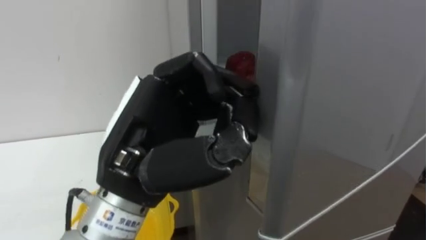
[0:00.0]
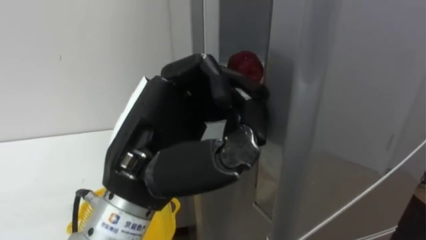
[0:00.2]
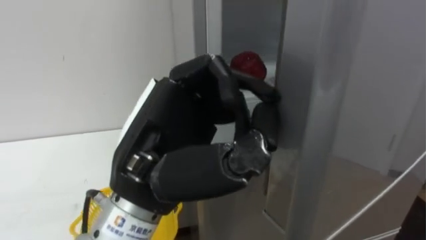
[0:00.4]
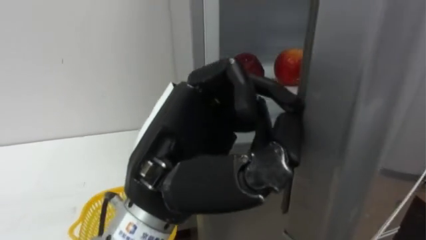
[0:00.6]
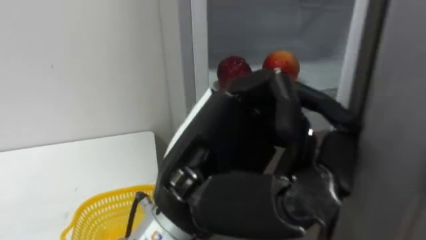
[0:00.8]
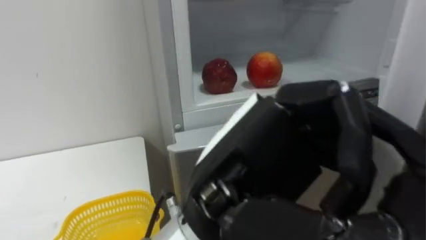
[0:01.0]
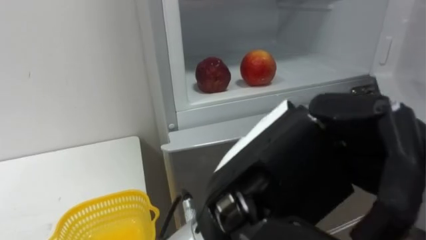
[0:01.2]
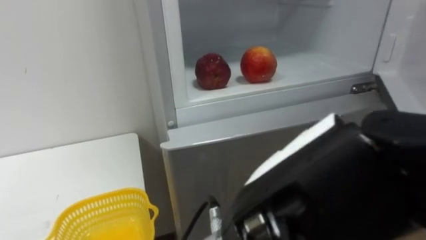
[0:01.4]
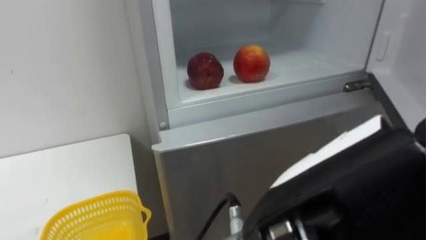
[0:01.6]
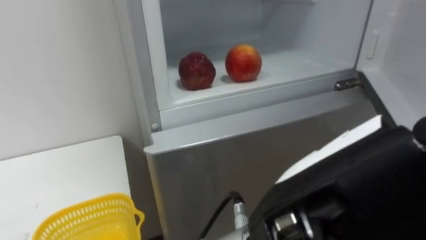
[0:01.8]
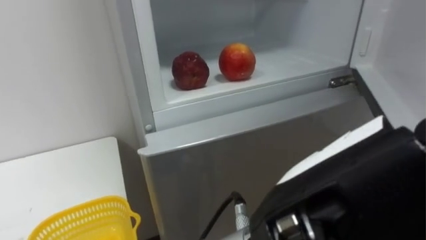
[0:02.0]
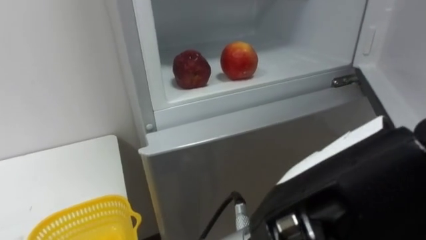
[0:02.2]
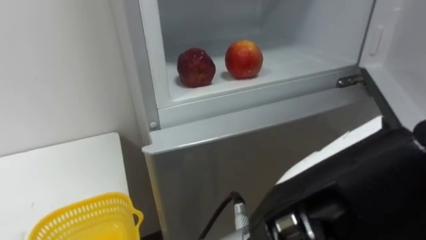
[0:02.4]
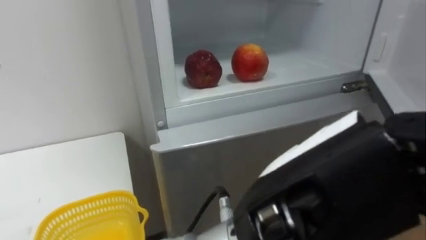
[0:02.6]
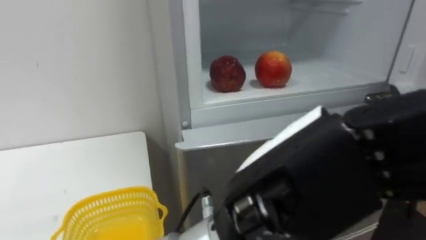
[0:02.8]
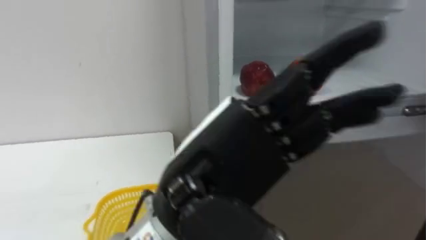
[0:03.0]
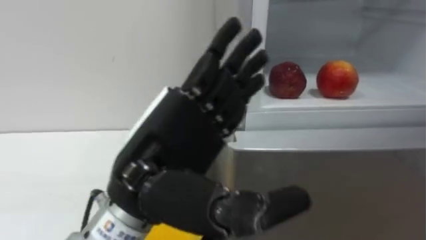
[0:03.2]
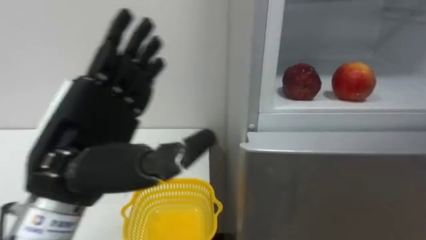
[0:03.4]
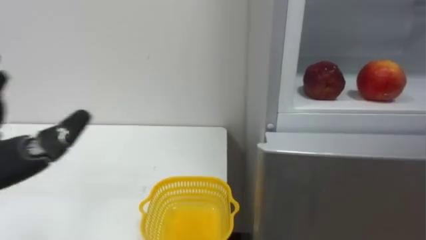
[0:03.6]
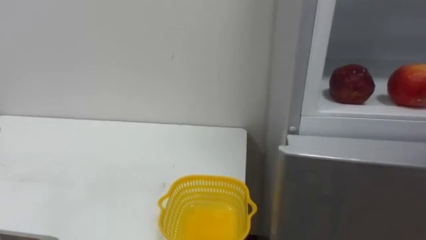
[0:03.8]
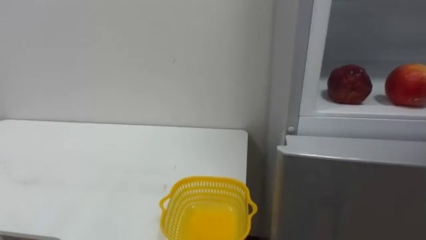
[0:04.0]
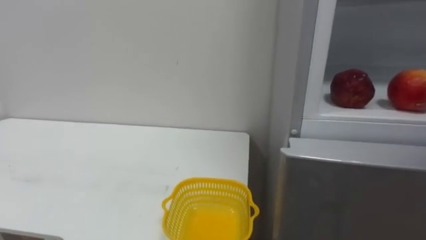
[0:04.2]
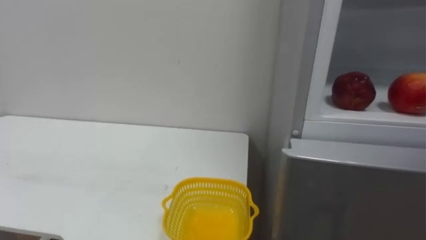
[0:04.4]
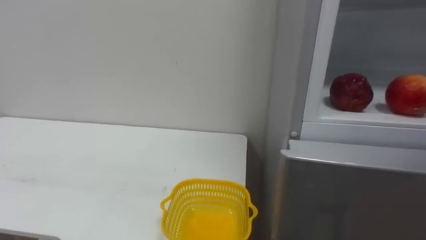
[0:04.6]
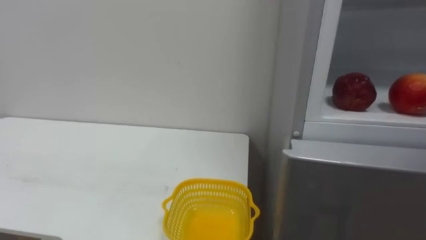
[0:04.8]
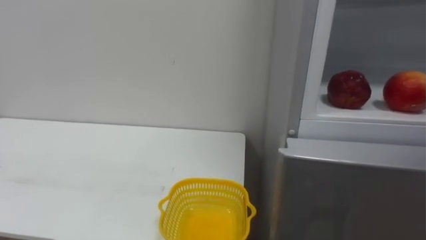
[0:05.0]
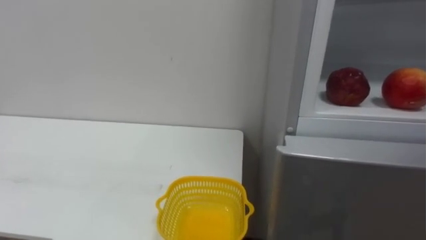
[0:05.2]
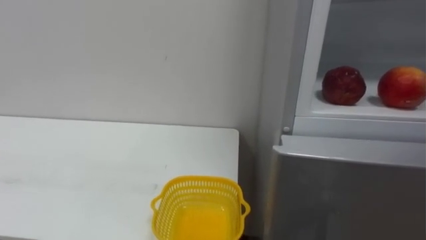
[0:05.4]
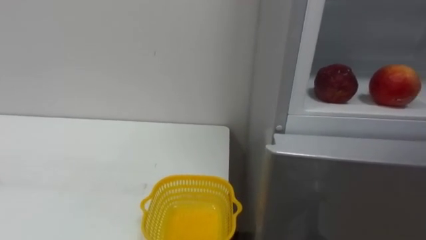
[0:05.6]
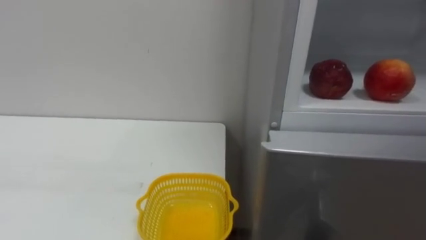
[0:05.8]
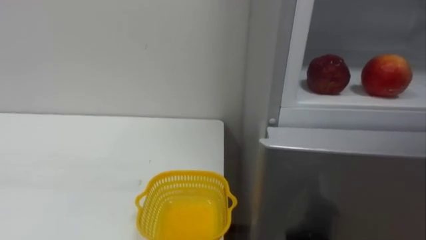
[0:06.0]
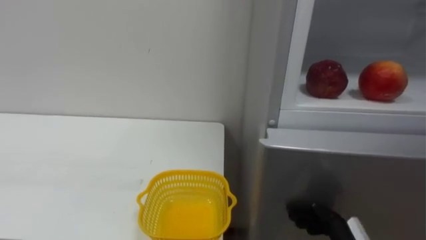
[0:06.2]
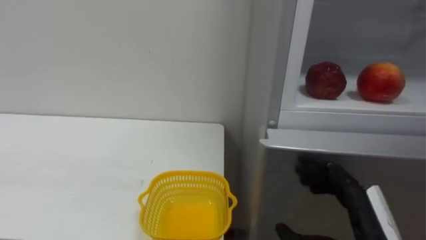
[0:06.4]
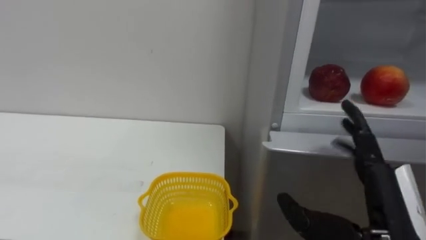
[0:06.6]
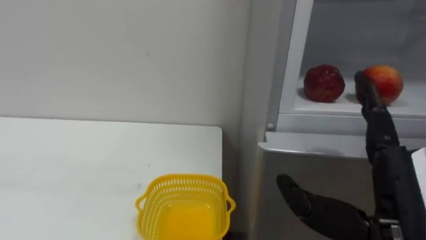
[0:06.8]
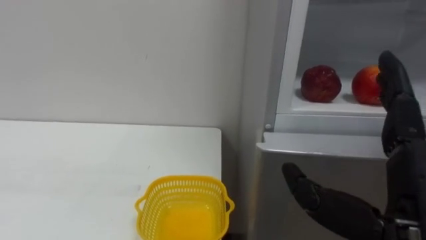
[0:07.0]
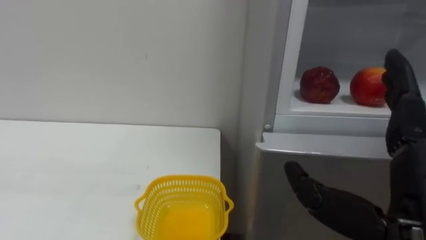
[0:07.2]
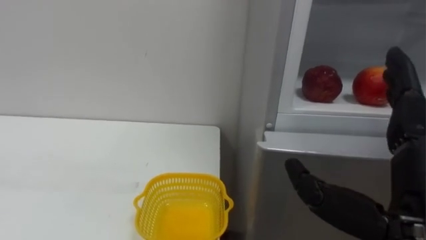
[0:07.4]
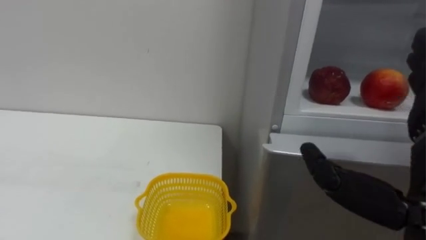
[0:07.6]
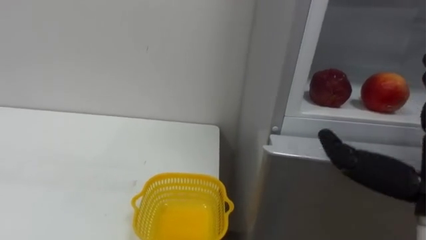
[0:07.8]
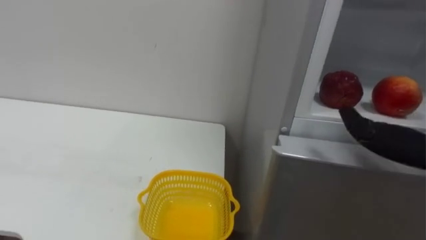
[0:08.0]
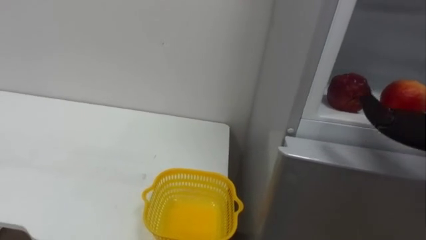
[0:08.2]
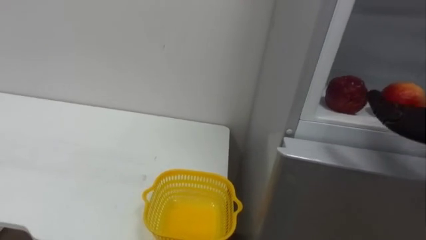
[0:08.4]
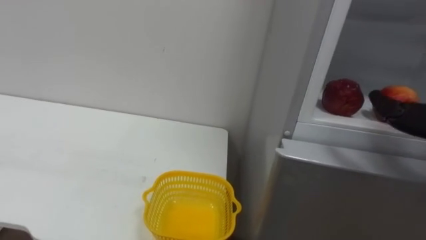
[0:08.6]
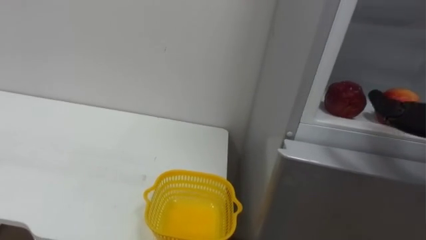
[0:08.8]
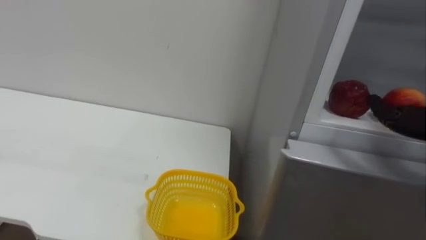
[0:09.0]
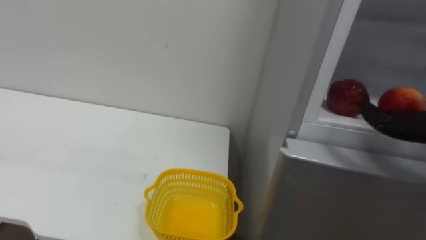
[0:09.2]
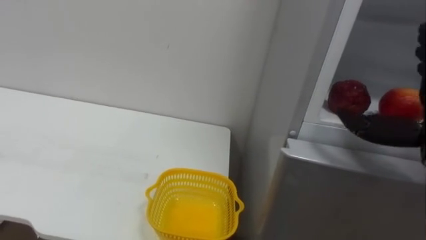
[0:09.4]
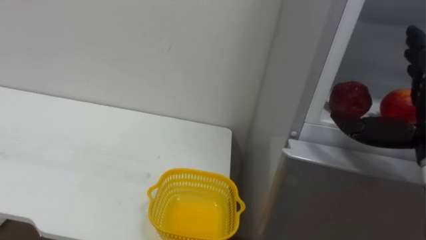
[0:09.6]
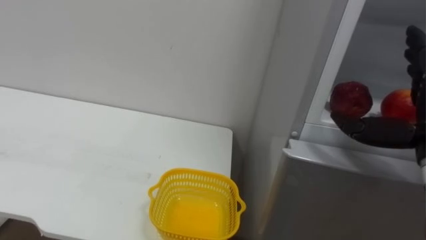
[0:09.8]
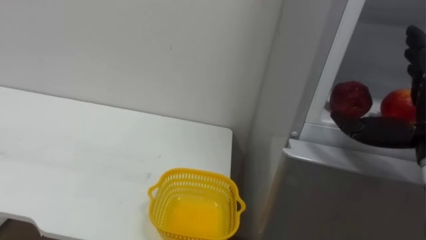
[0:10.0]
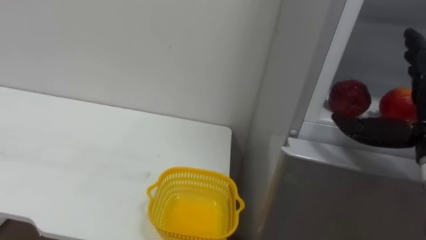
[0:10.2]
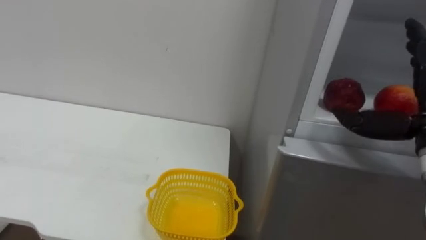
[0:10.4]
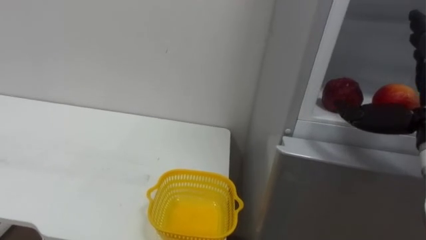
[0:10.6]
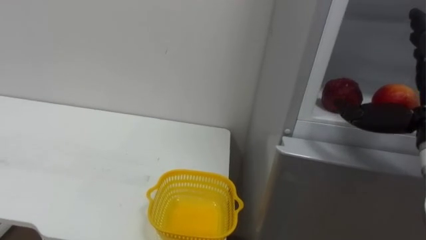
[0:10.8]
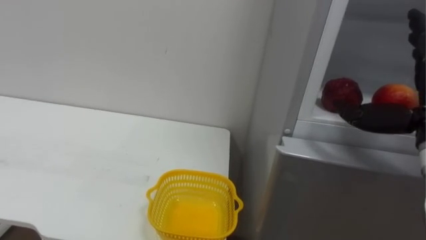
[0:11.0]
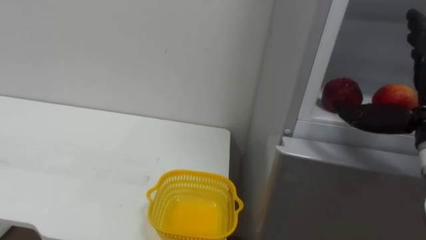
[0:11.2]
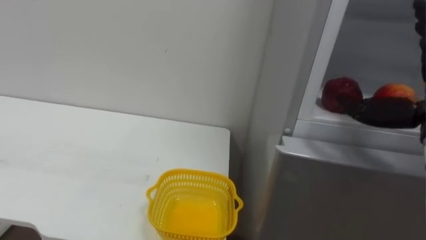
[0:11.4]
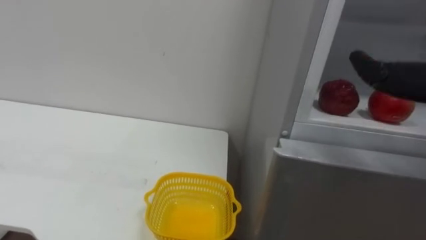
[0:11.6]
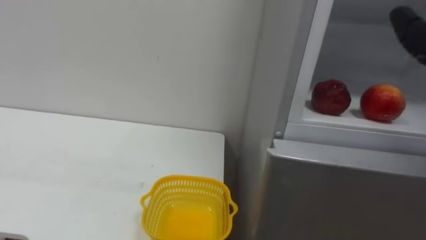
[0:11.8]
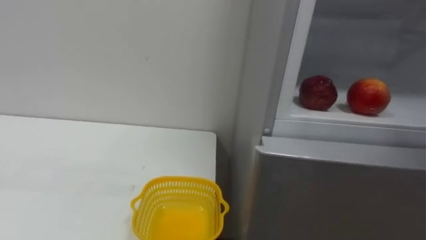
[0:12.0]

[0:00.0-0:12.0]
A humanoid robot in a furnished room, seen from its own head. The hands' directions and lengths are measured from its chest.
Task of the whole recording: Open the refrigerator door, take out the apple and the pomegranate, place them in the fruit basket on the left, and close the refrigerator door.
0:00.0 to 0:01.6: The left hand travels to the right and backward by approximately 15 cm.
0:01.6 to 0:03.0: The left hand moves to the left and forward, about 10 cm, and opens.

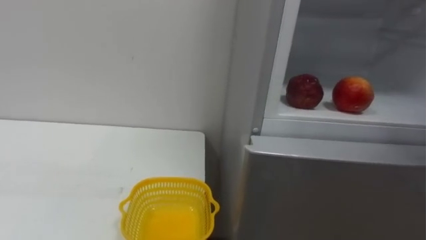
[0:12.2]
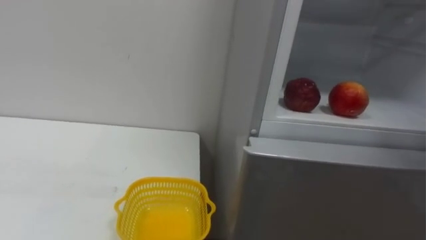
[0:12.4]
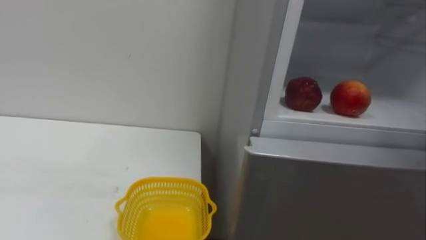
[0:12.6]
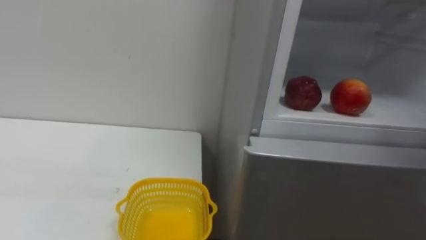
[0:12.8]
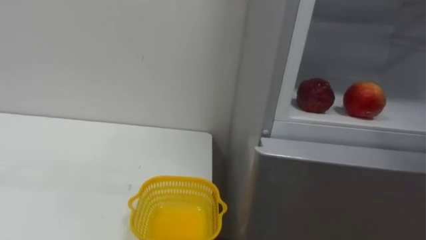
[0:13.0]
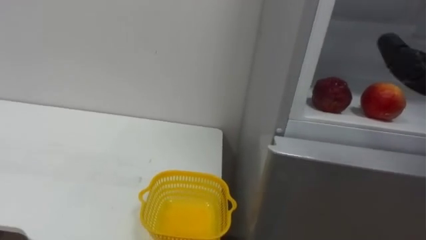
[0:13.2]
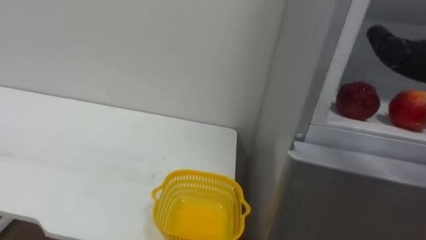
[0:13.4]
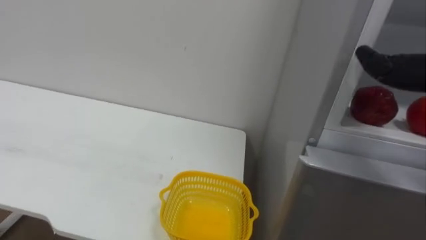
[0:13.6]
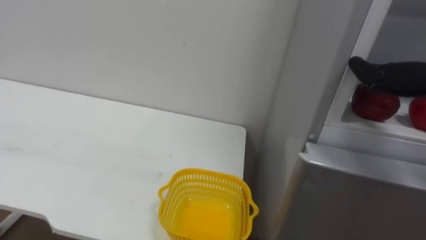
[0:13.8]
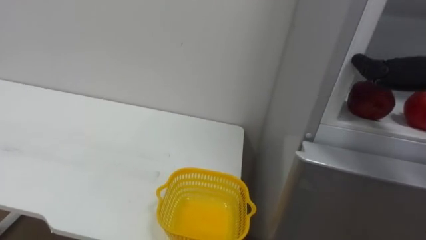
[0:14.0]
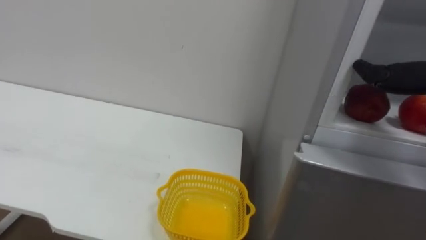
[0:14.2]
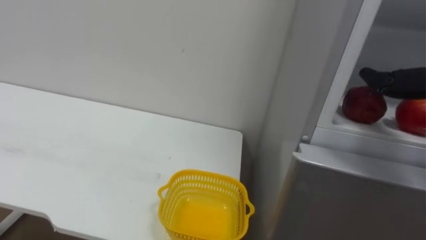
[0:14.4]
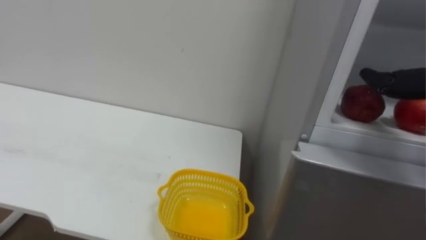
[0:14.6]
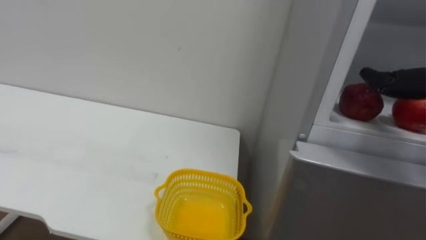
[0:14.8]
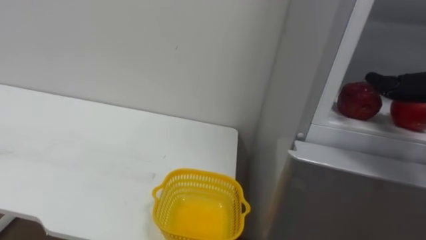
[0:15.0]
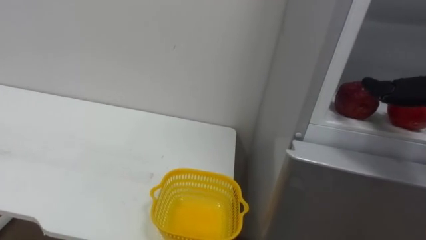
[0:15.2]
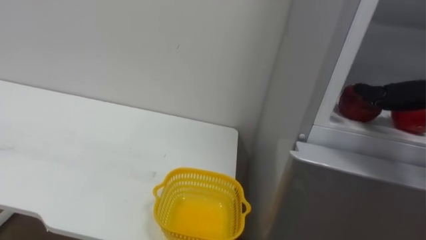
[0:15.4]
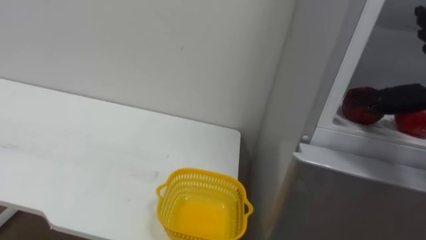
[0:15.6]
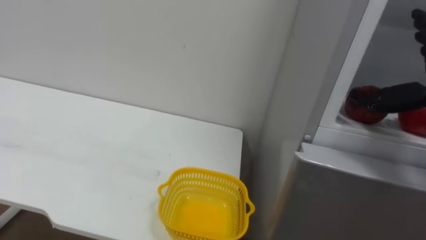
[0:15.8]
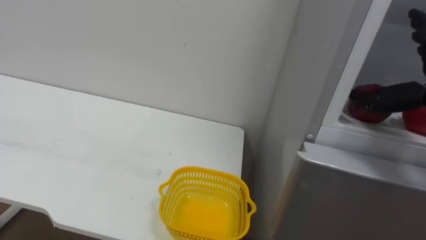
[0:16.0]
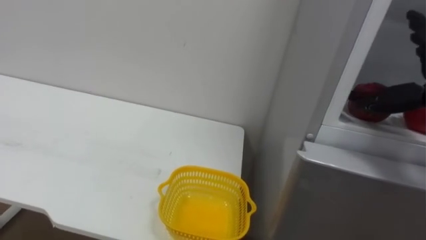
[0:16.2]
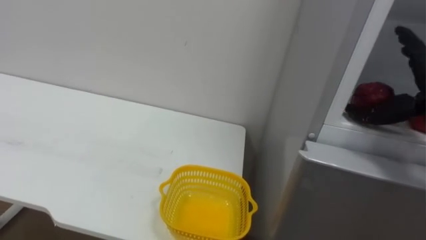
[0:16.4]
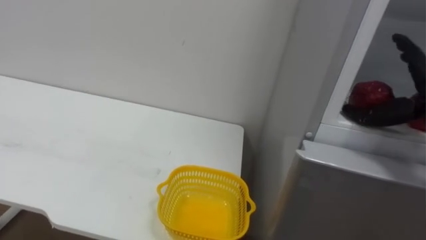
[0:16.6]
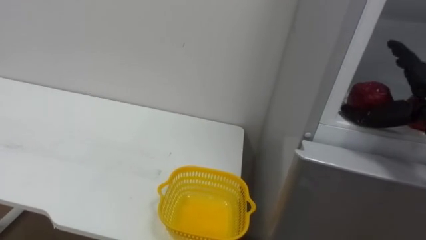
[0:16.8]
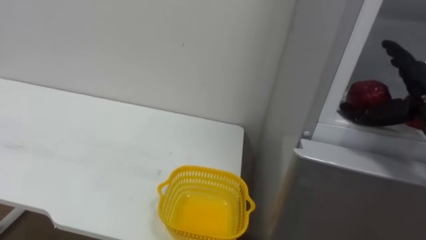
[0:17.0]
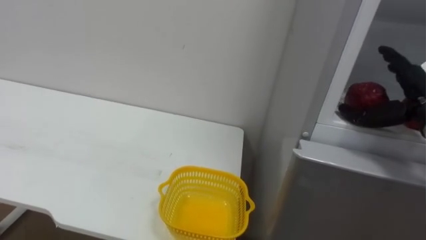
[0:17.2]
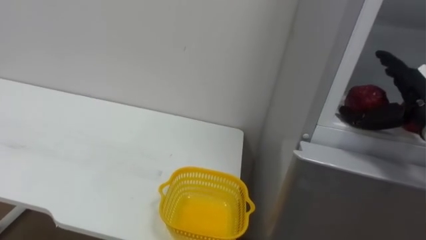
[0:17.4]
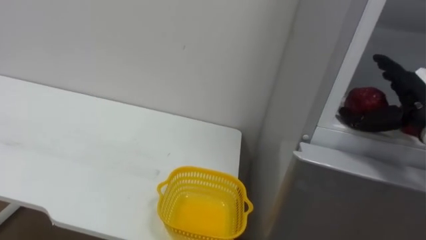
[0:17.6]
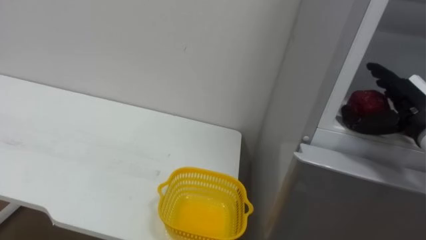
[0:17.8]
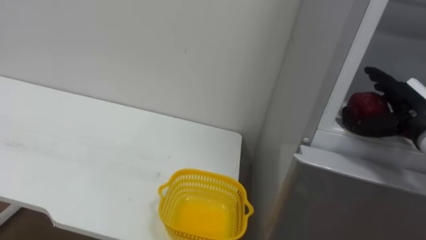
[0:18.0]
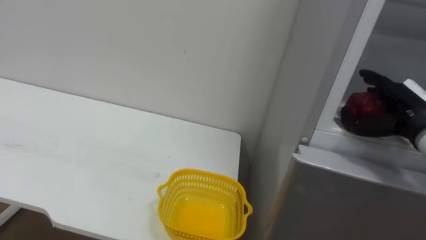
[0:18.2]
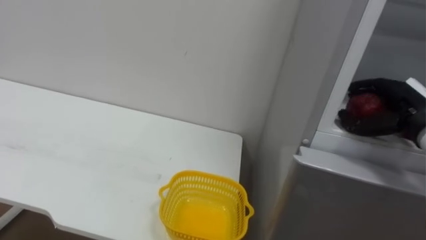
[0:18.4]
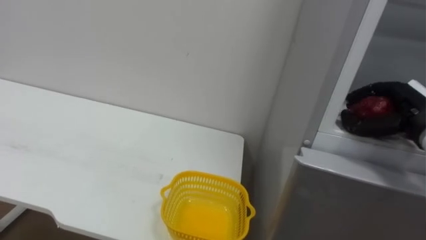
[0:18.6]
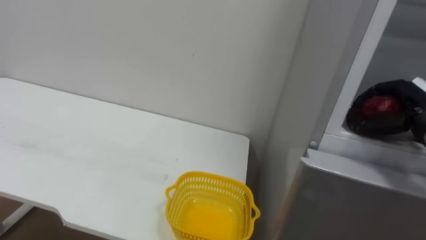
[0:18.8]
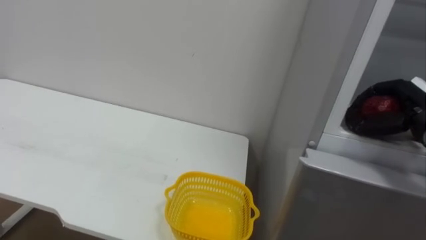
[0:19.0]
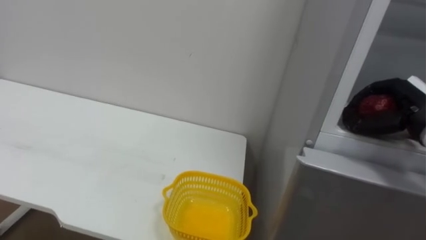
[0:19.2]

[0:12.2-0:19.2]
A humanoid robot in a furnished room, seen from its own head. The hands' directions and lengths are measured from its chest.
Task of the whole recording: Open the refrigerator door, take out the apple and the pomegranate, place them in the fruit basket on the left, and close the refrigerator door.
0:17.8 to 0:19.2: The right hand closes its fingers.
